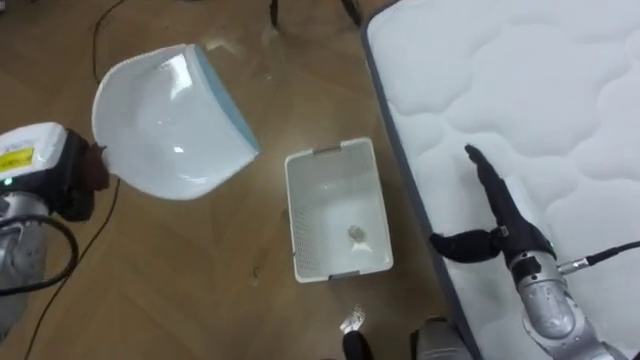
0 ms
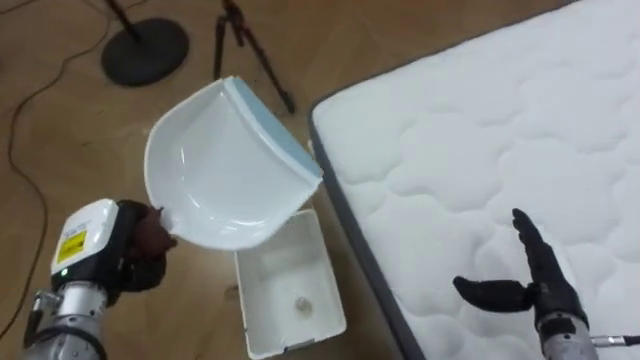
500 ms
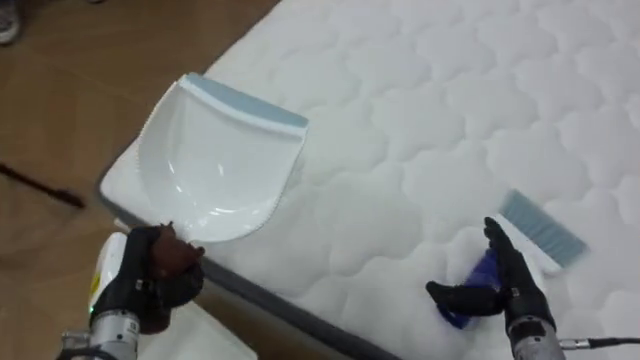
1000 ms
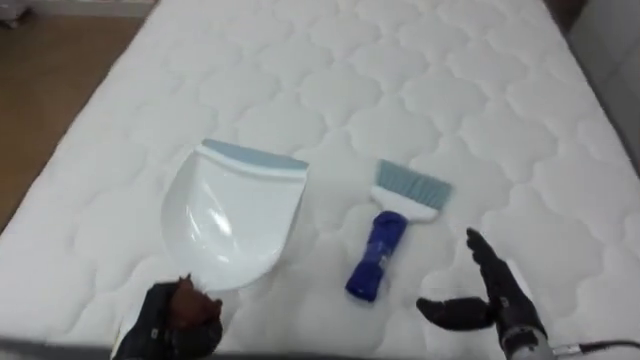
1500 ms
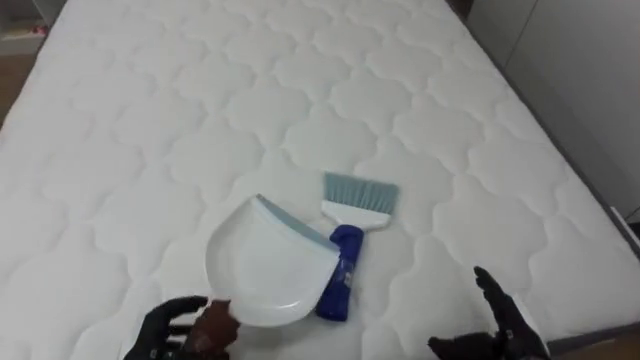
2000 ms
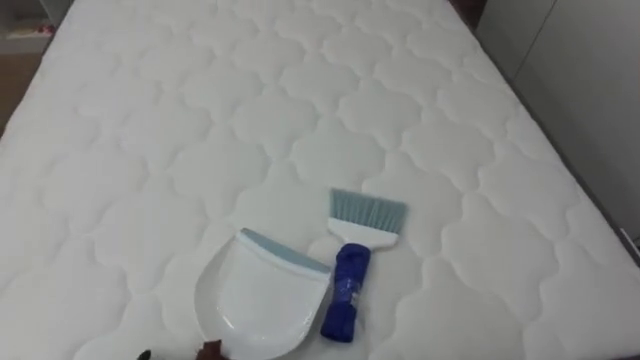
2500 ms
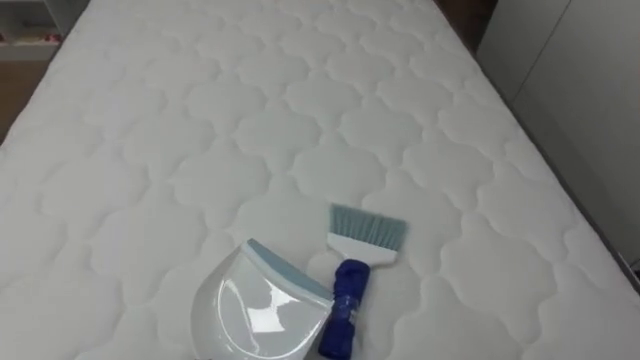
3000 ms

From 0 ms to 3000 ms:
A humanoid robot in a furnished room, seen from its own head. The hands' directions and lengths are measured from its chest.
Task of the whole recording: Pick up the brush on your right and the dustpan on your left. Use the brush to sweep the crumpled paper on the bed into the dustpan, then turn left and empty it into the basket.
From 0 ms to 1500 ms: The robot rotates approximately 85 degrees to its right. The left hand travels backward, downward and to the right by roughly 25 cm. The right hand goes about 10 cm backward and downward.

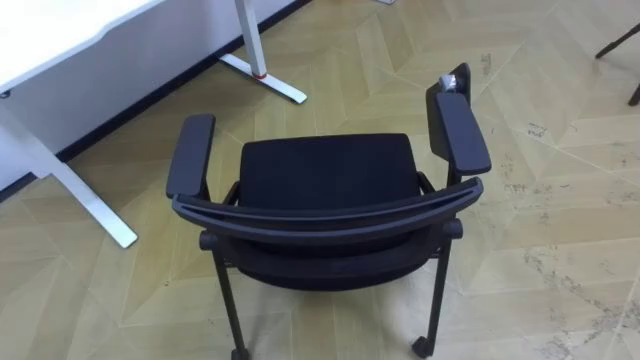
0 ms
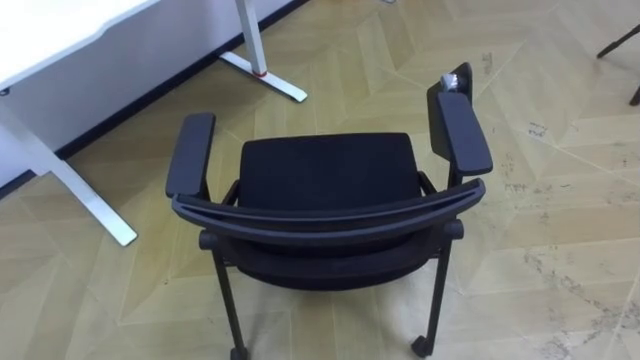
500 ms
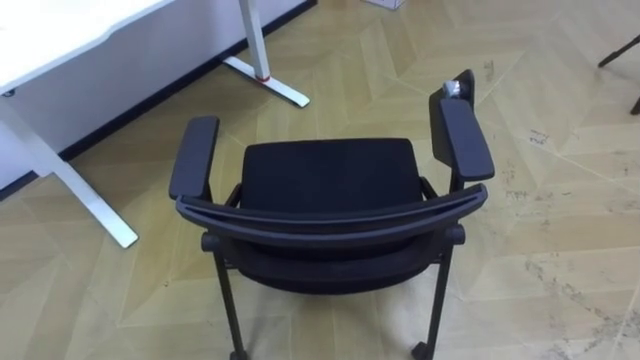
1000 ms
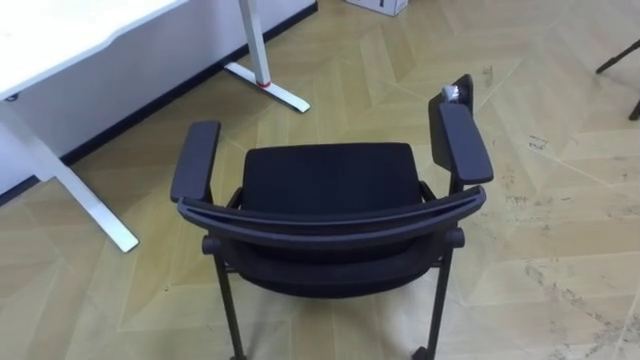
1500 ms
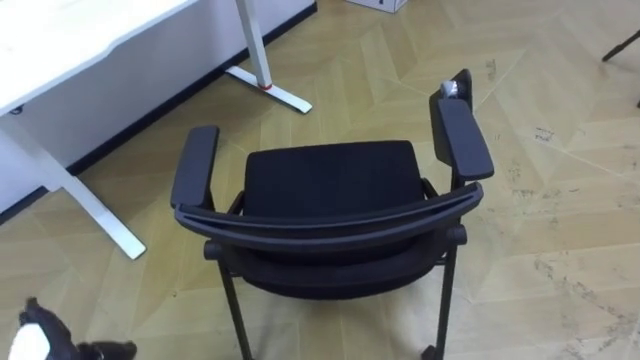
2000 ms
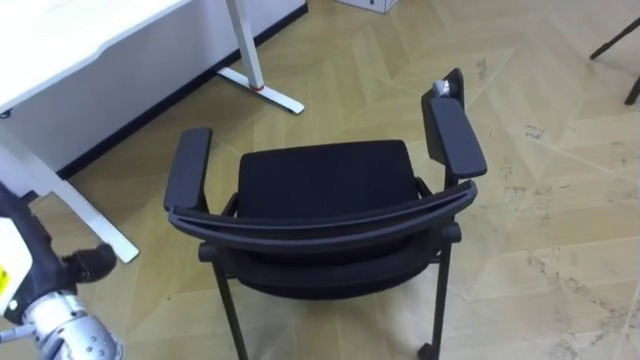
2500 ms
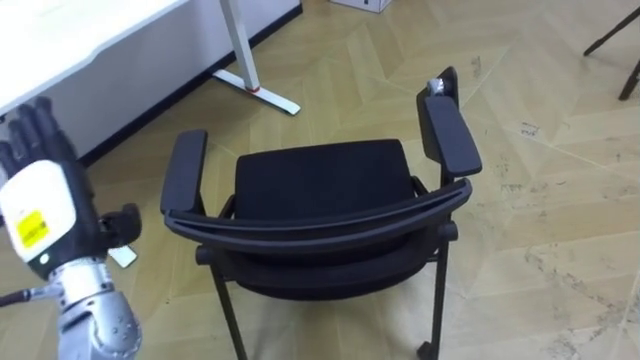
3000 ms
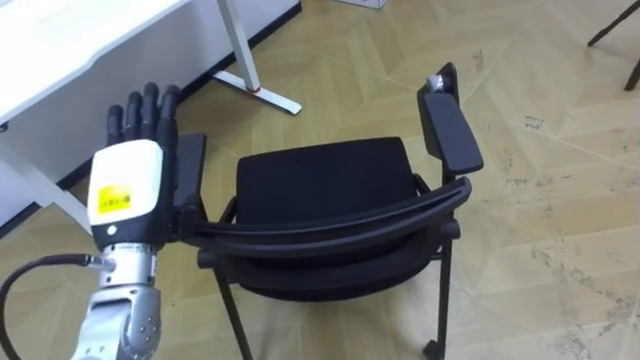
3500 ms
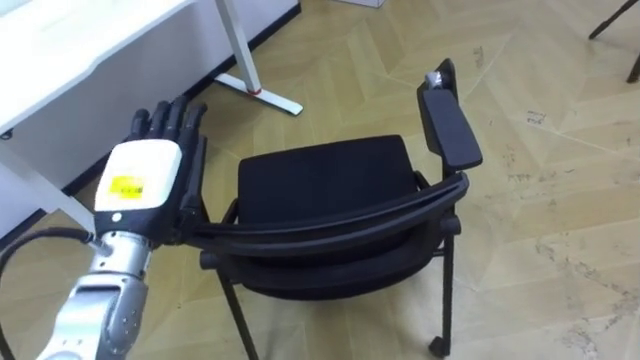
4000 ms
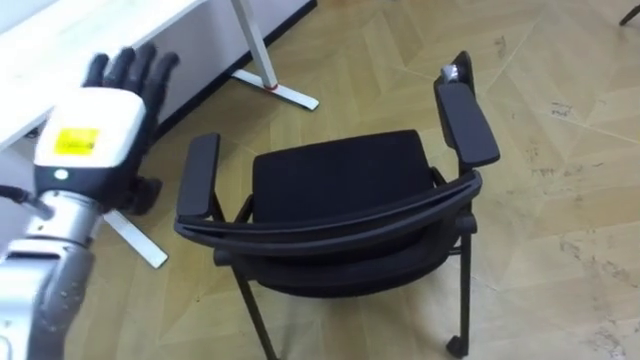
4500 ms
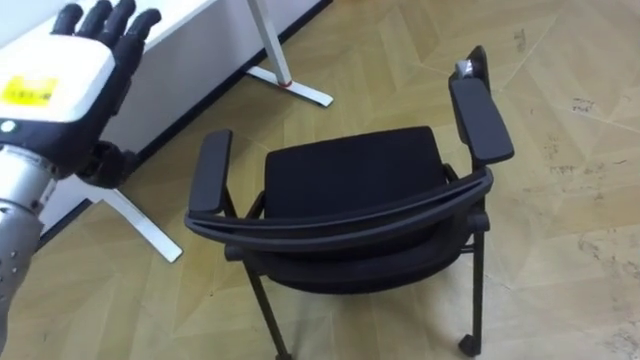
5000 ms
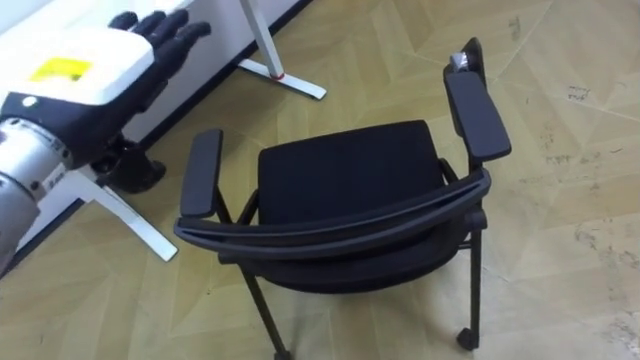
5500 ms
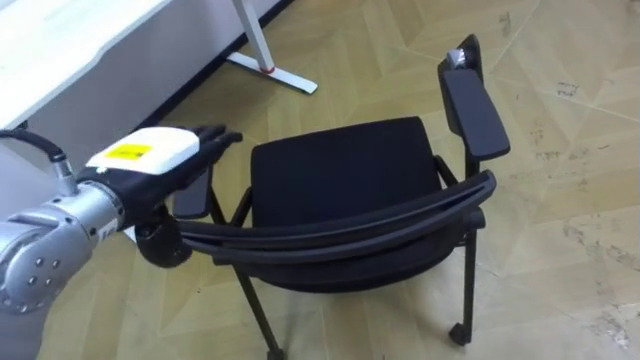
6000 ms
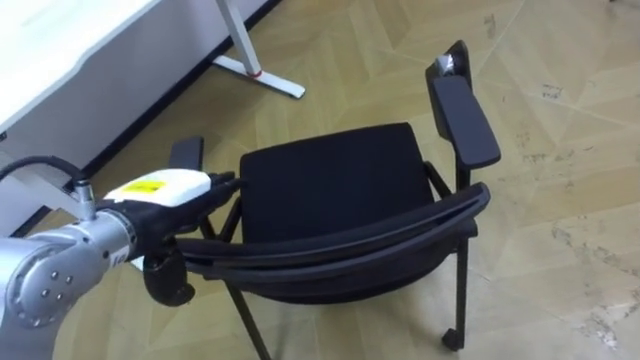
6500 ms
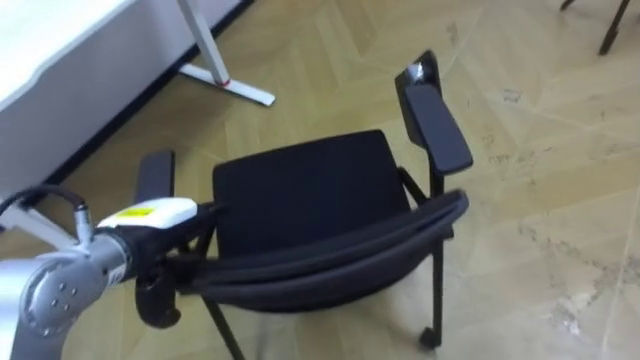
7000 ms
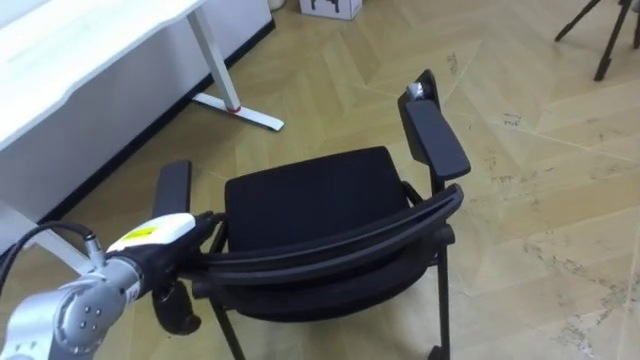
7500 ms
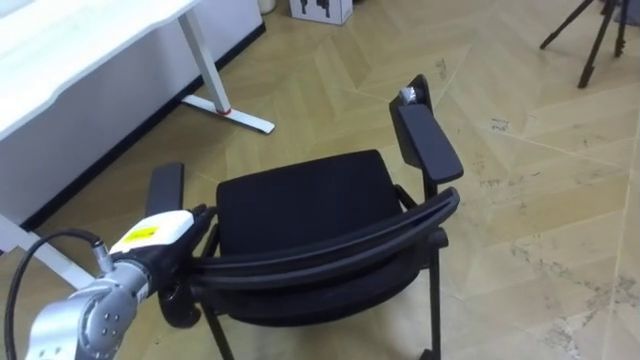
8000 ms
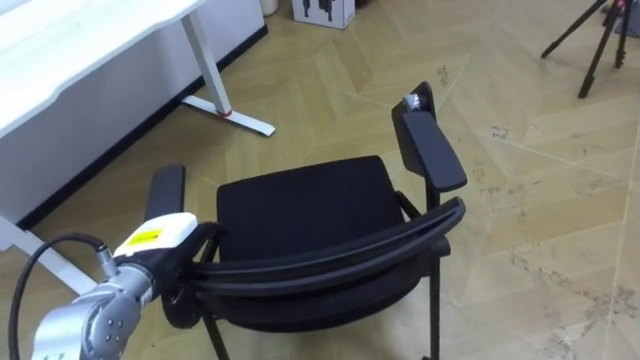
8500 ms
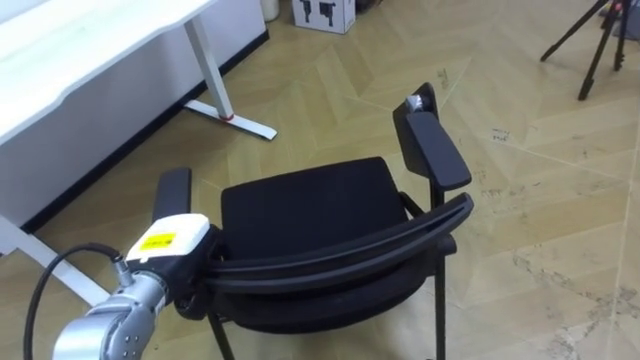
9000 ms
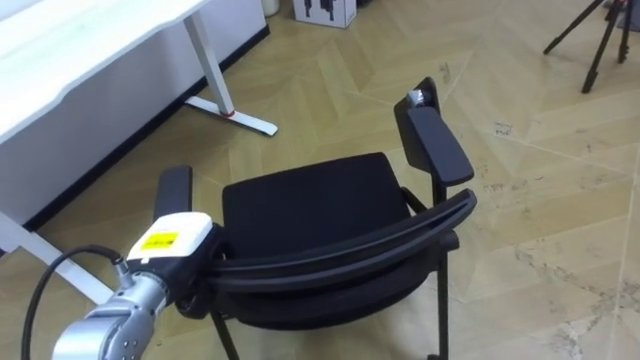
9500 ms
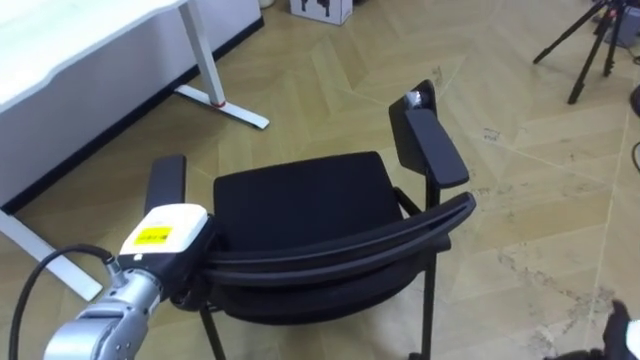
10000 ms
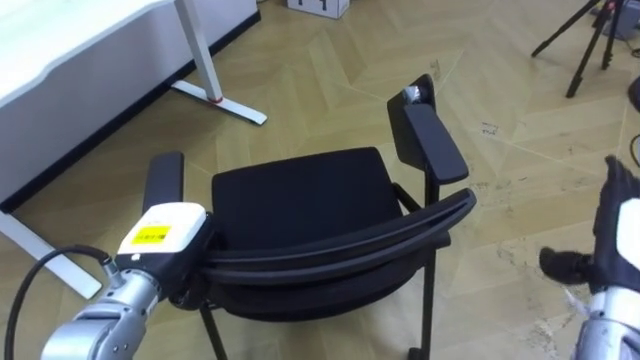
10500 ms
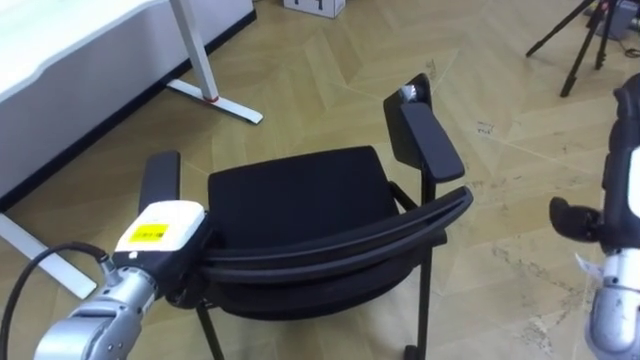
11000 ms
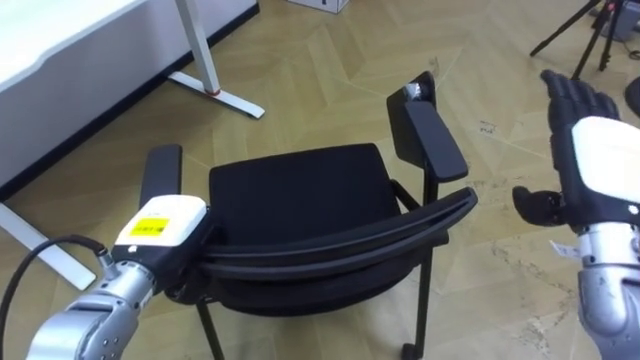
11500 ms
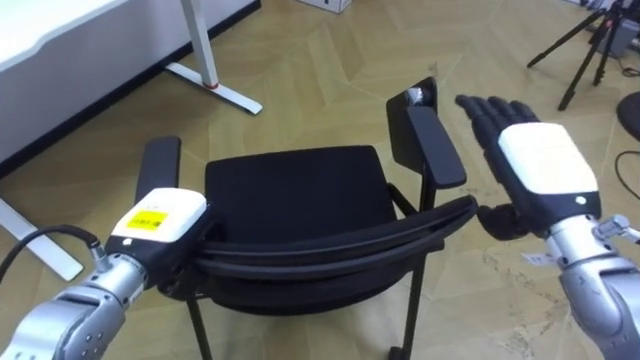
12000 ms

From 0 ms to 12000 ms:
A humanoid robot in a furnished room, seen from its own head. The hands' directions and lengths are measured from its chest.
Task of the whole recording: Push the chair under the table.
From 4000 ms to 6000 ms: The left hand heads upward, covering roughly 5 cm.
From 6000 ms to 8000 ms: The left hand goes approximately 15 cm downward.
From 8000 ms to 10000 ms: The left hand closes.

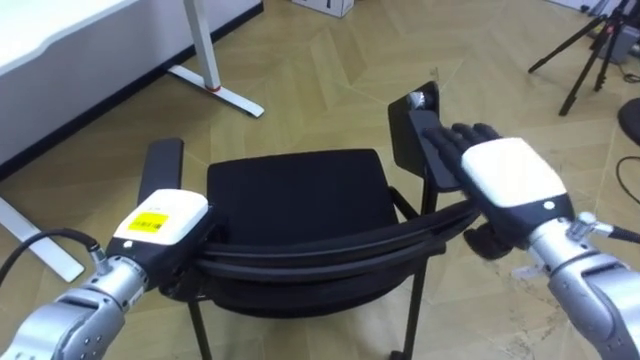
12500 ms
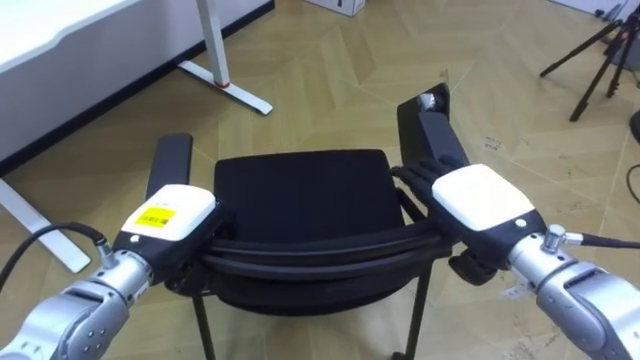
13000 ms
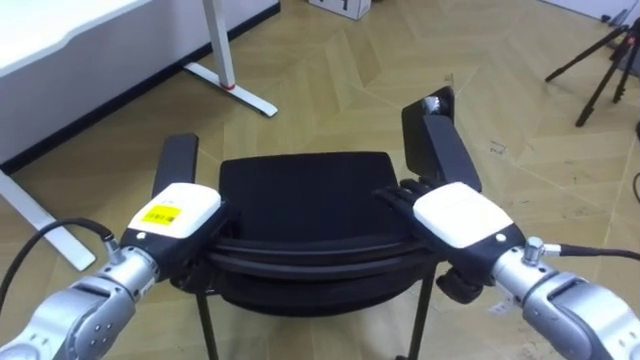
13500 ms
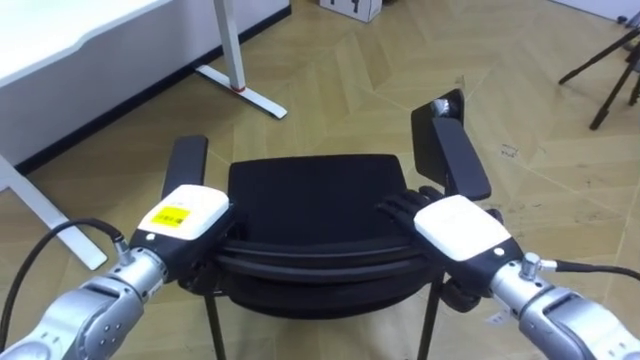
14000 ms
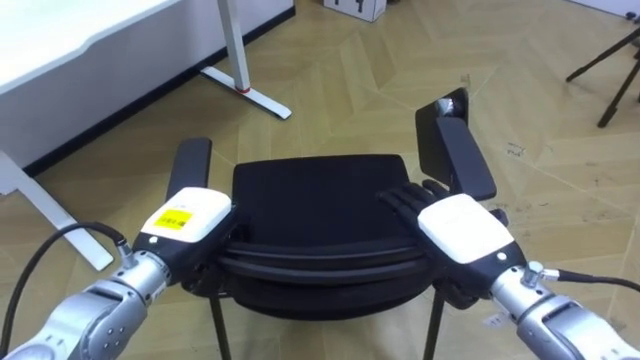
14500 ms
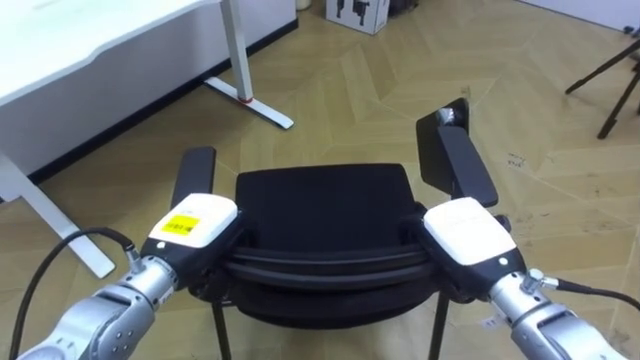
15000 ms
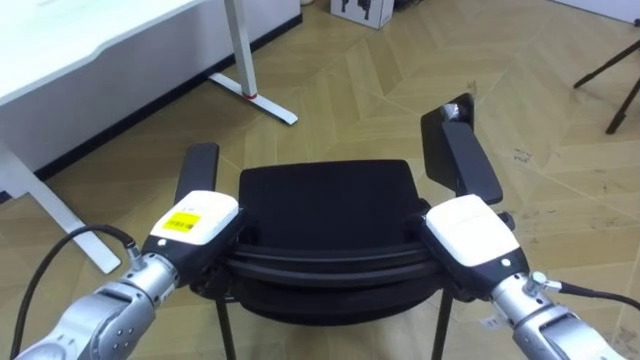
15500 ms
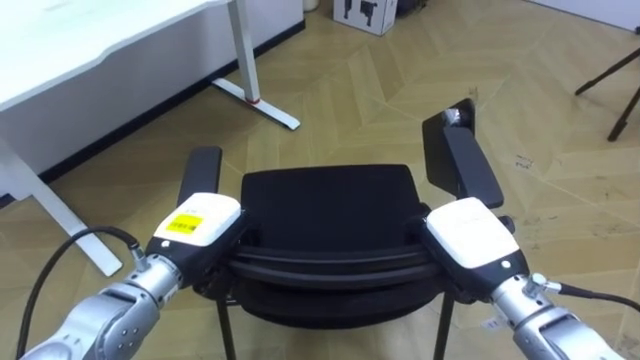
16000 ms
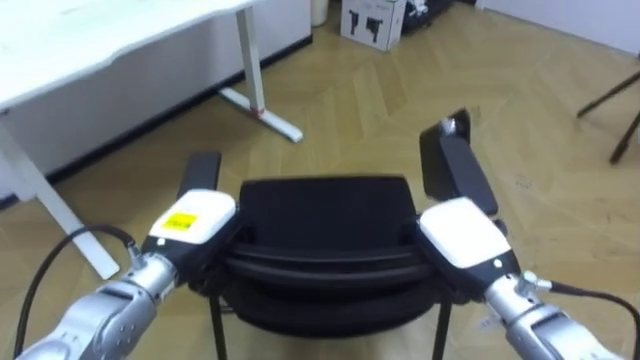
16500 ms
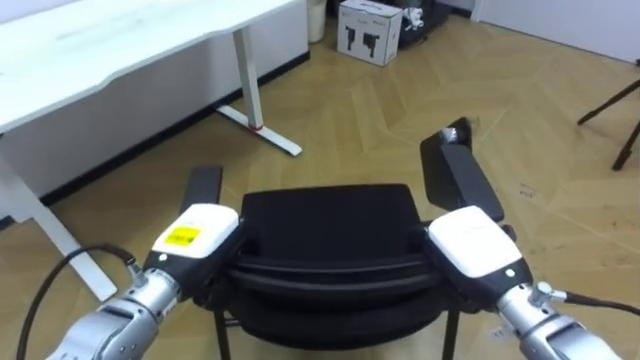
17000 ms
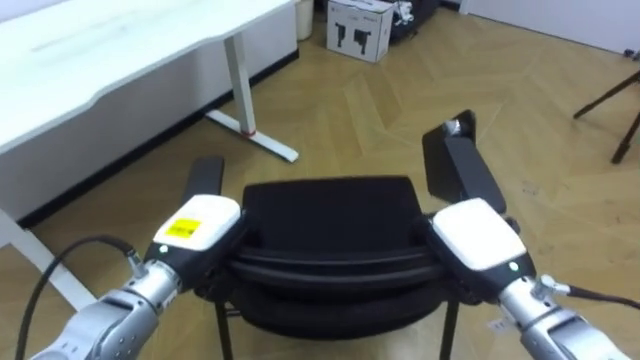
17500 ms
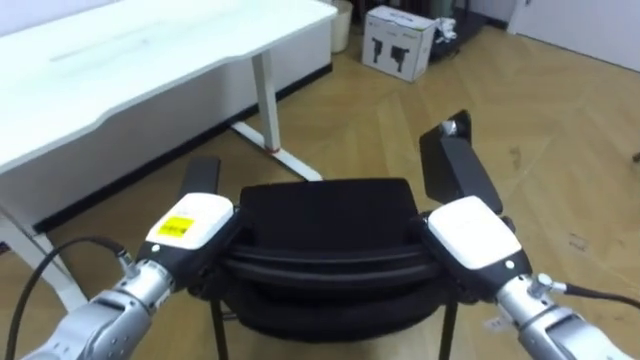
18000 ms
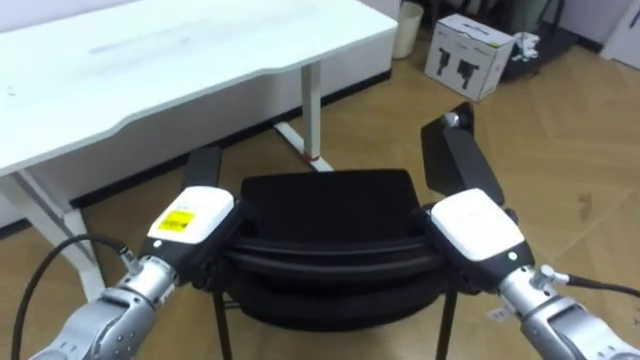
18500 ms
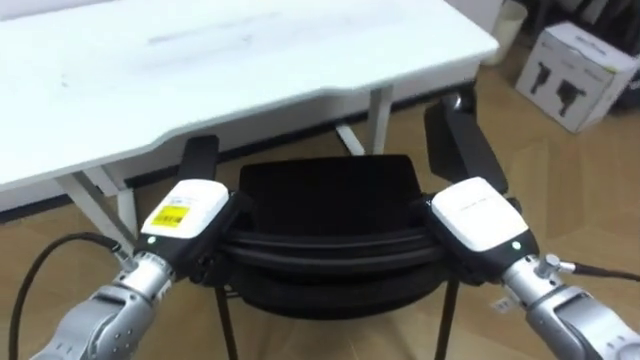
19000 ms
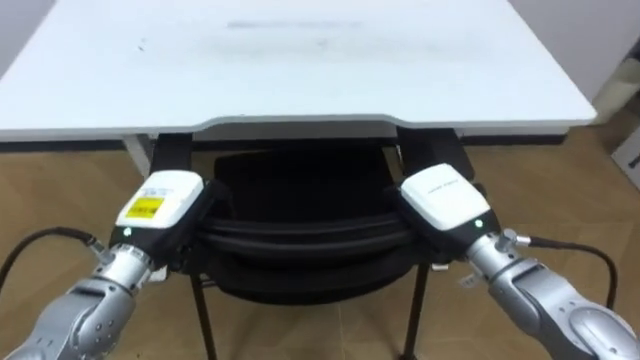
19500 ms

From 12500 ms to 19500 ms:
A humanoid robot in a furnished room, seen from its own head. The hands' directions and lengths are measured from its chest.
Task of the whole recording: Push the chair under the table.
From 12500 ms to 14500 ms: The right hand heads downward, covering roughly 5 cm.
From 14500 ms to 16000 ms: The right hand closes up.
From 17500 ms to 19500 ms: The robot turns to its left by approximately 35 degrees. The right hand ends up roughly 5 cm from where it was.
